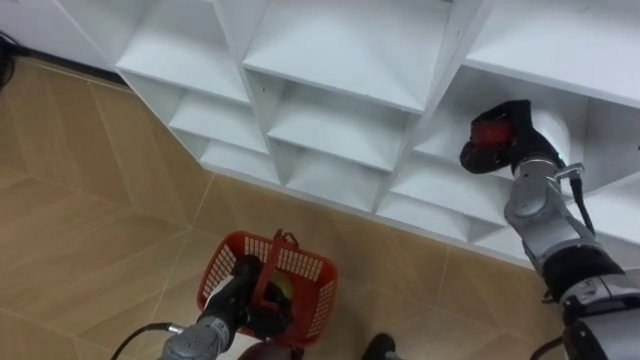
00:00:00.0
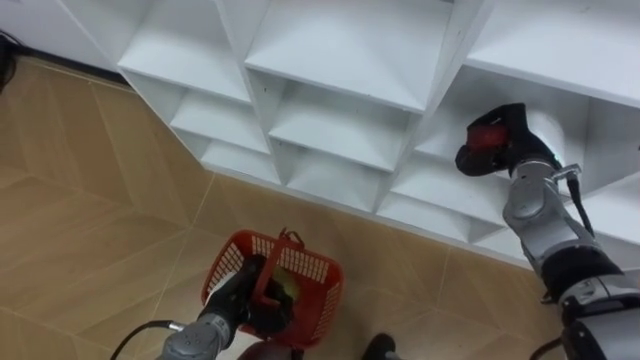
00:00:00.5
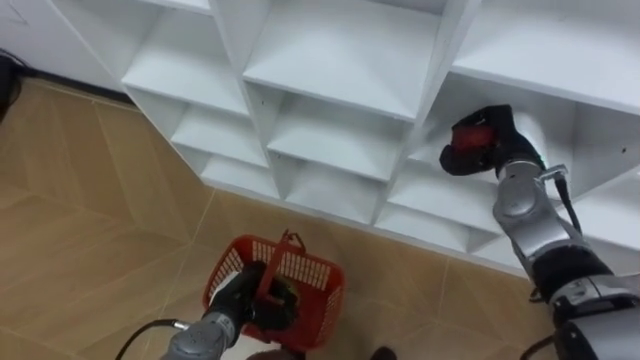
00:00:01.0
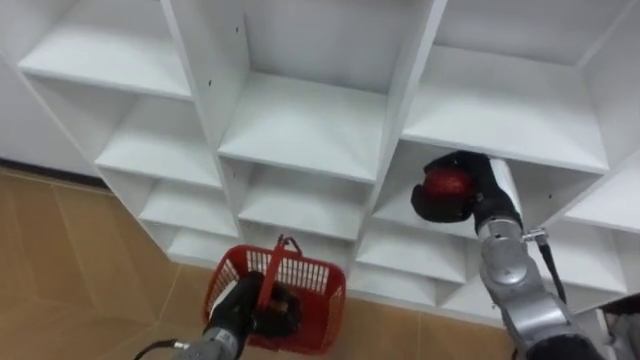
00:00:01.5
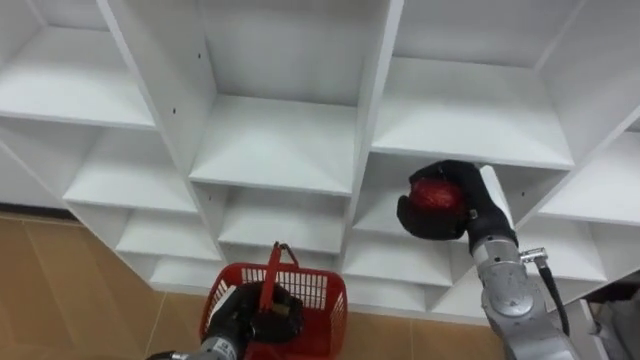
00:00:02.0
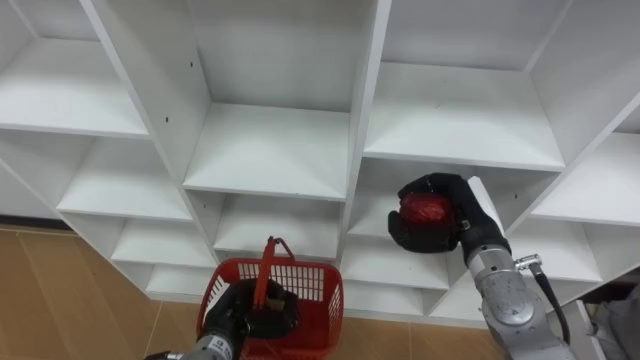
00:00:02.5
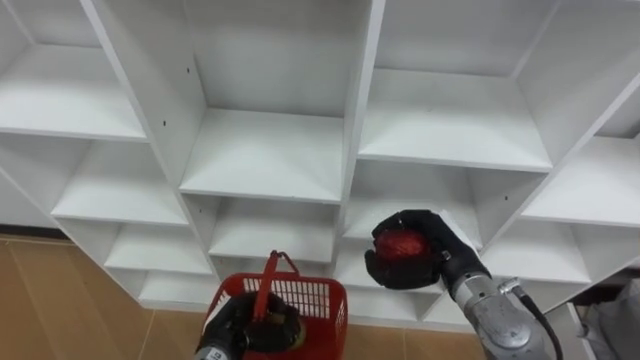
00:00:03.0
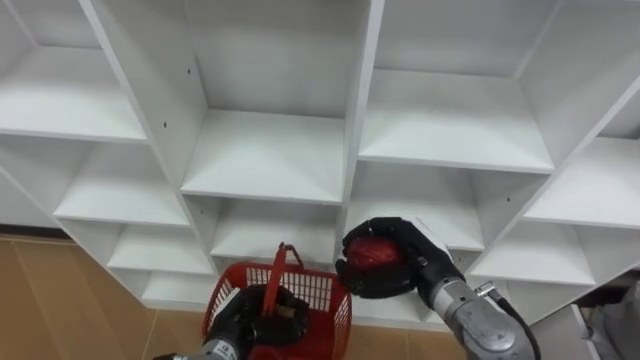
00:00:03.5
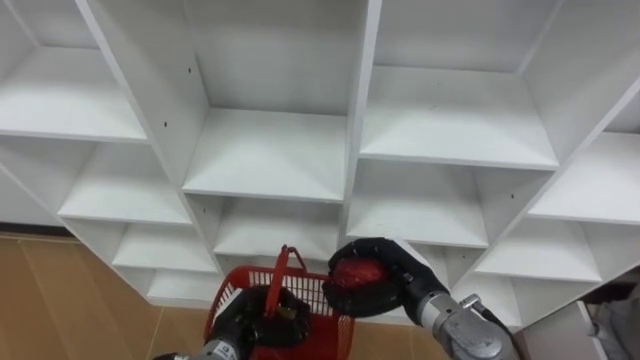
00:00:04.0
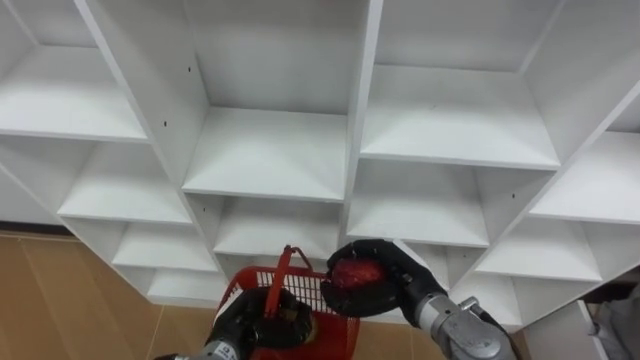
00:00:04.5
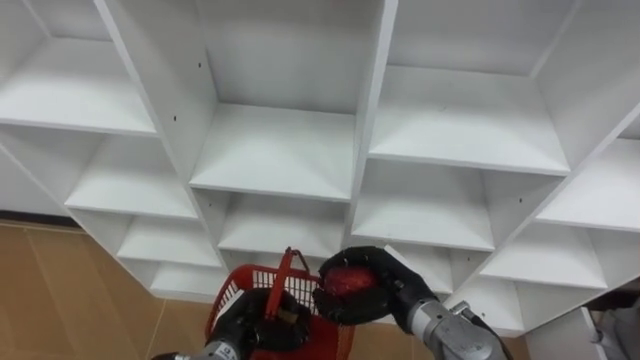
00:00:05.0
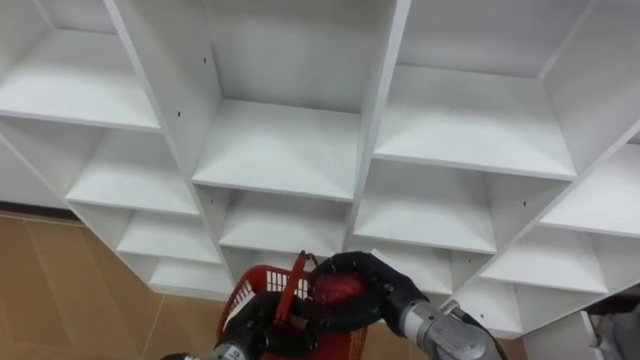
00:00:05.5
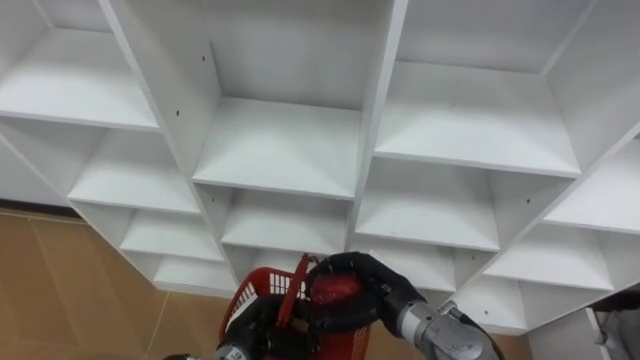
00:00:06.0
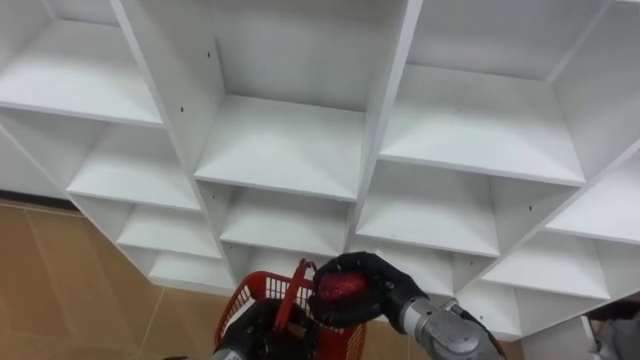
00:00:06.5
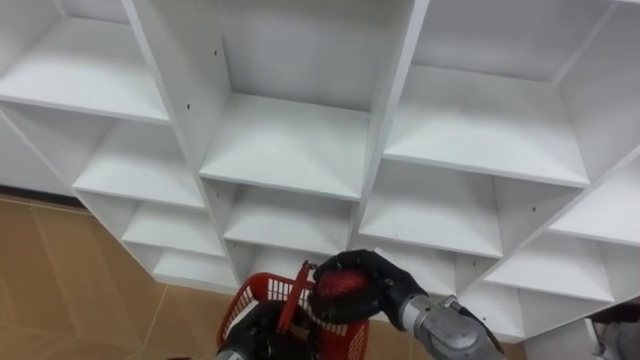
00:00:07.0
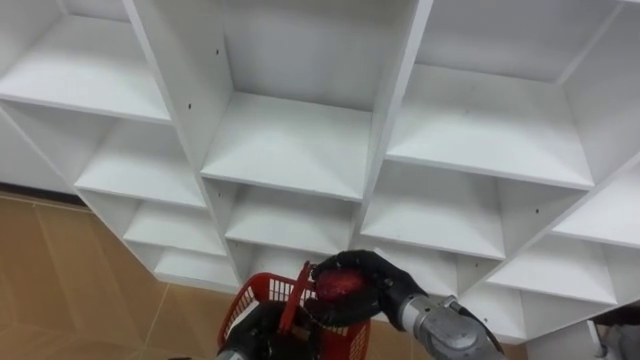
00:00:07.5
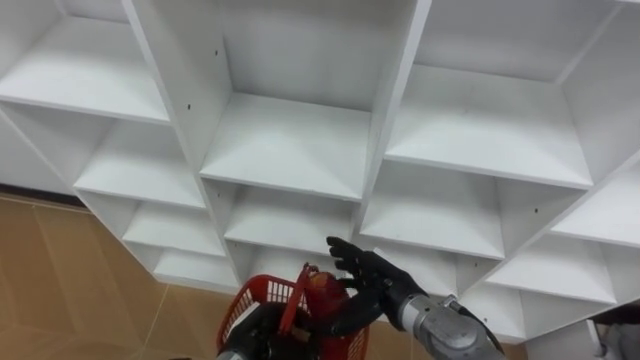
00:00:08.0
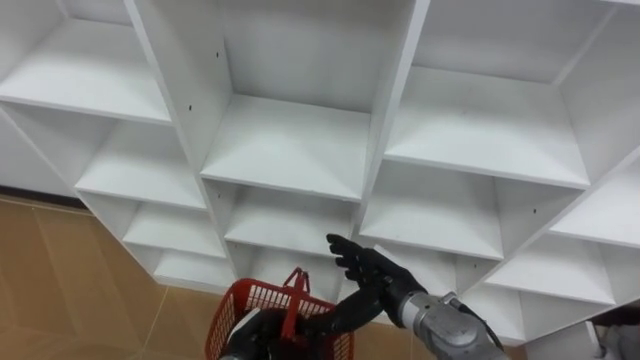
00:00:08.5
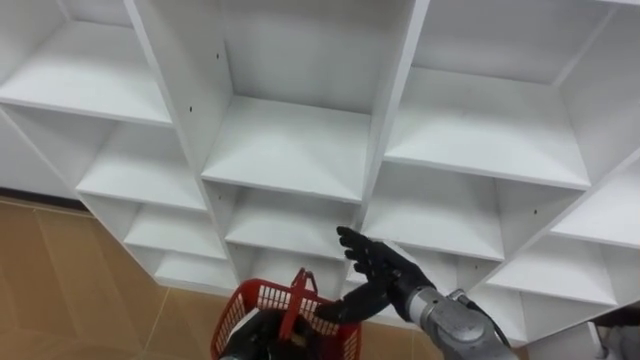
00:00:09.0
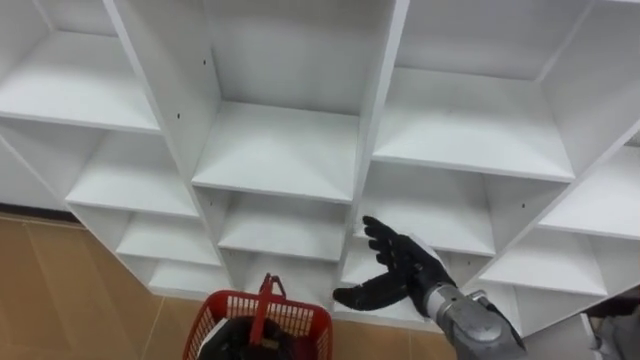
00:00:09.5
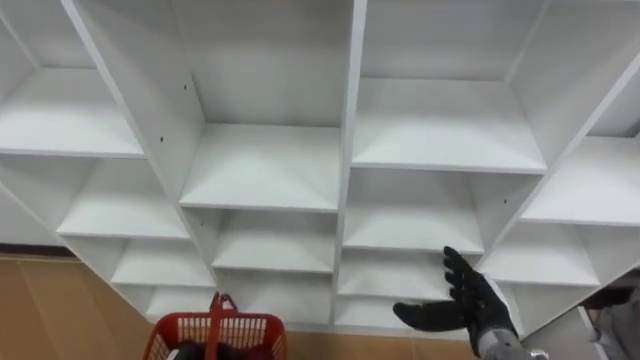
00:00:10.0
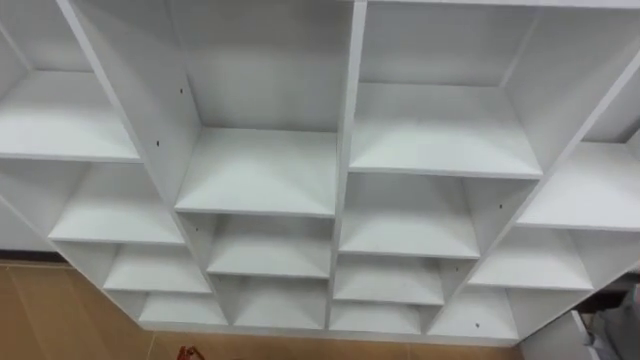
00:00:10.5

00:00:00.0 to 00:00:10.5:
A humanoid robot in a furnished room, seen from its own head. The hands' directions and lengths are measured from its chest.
Task of the whole recording: Hold the basket and collect the fruits from 3 different cells of the closet into it.
00:00:00.0 to 00:00:02.0: The right hand travels backward and to the left by about 10 cm.
00:00:02.0 to 00:00:04.0: The right hand moves to the left, backward and downward, some 15 cm.
00:00:06.5 to 00:00:08.5: The right hand opens up.

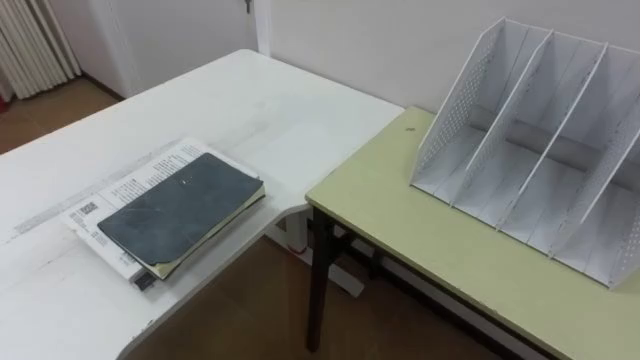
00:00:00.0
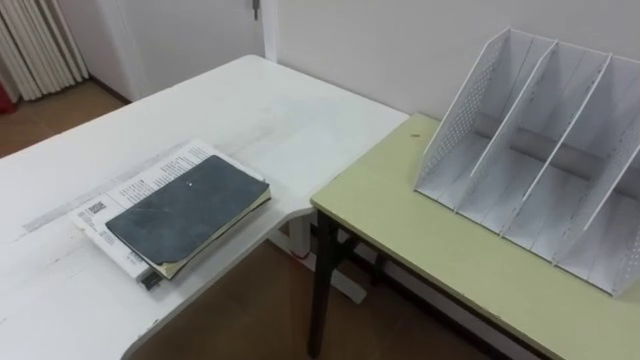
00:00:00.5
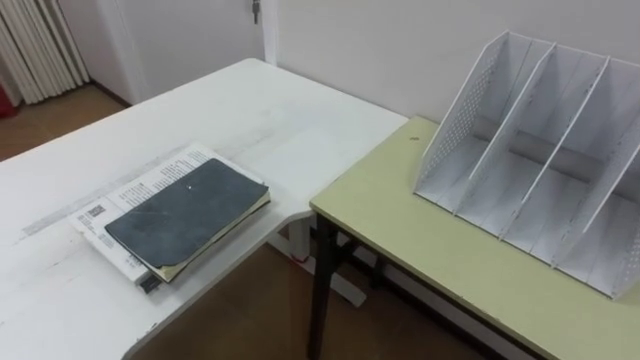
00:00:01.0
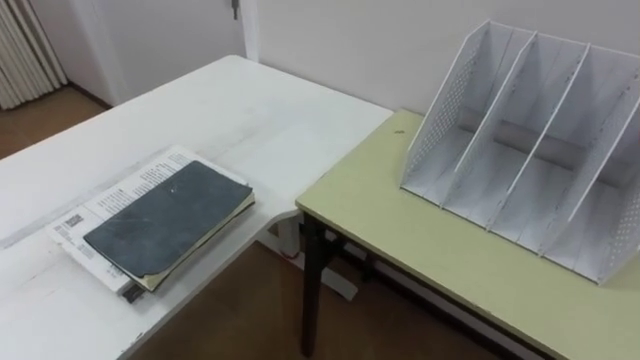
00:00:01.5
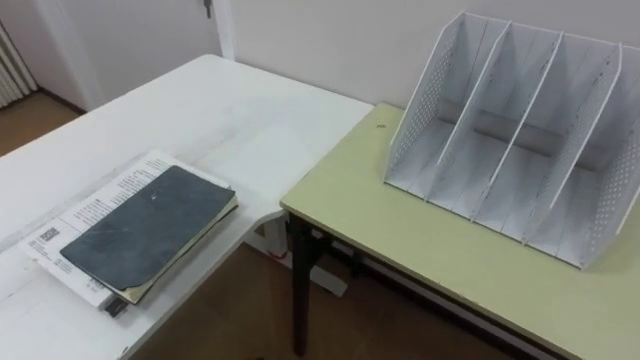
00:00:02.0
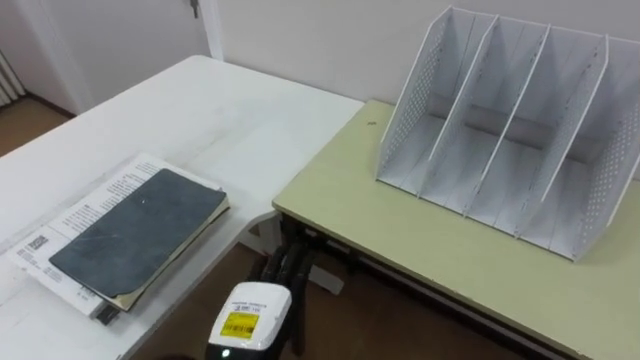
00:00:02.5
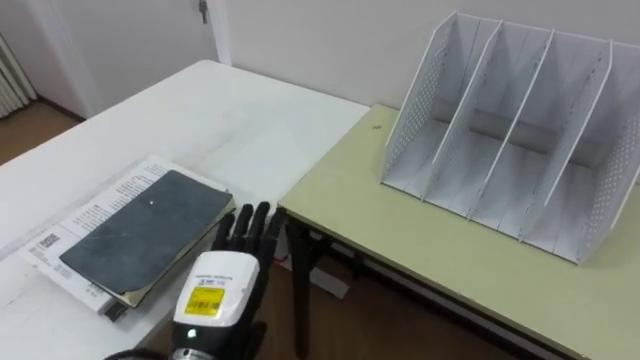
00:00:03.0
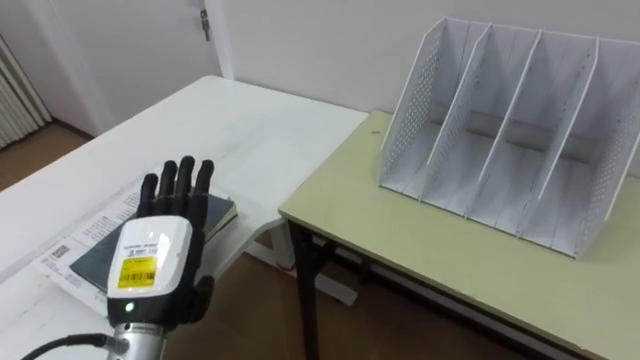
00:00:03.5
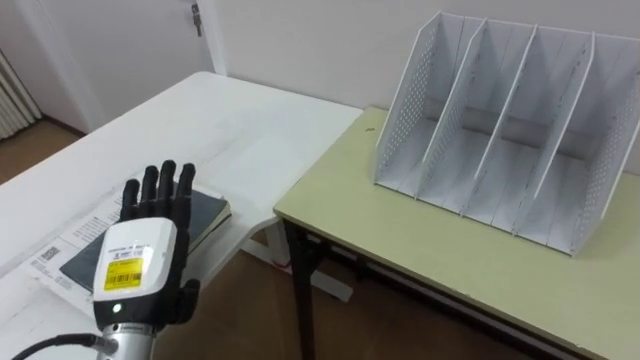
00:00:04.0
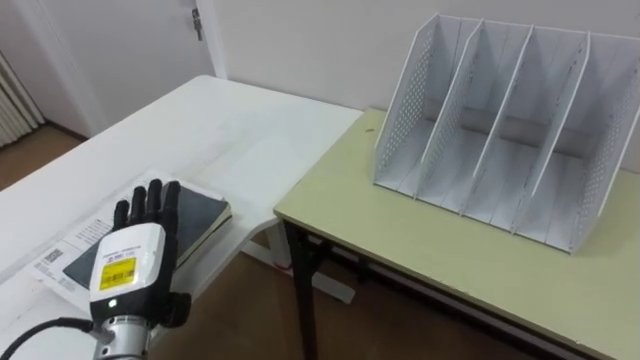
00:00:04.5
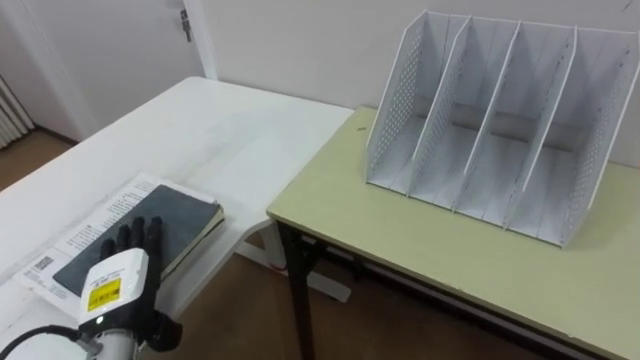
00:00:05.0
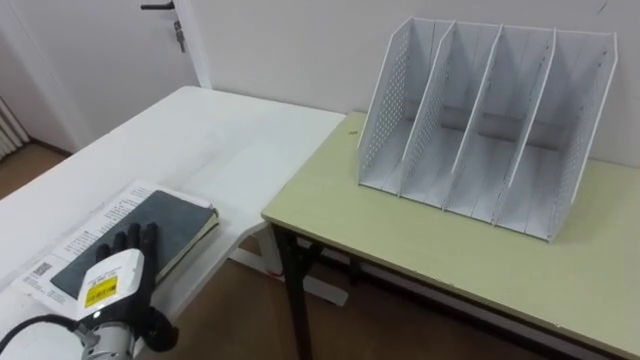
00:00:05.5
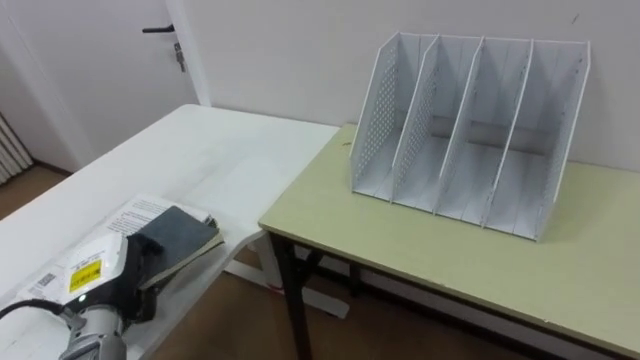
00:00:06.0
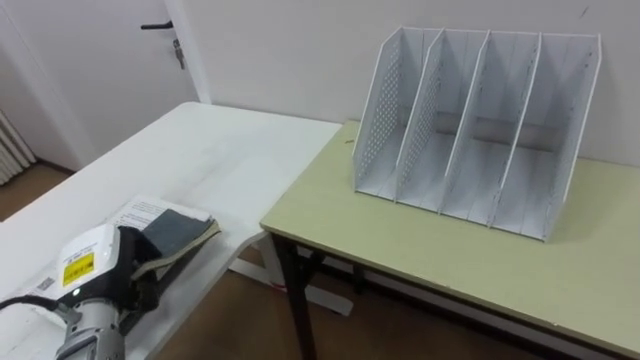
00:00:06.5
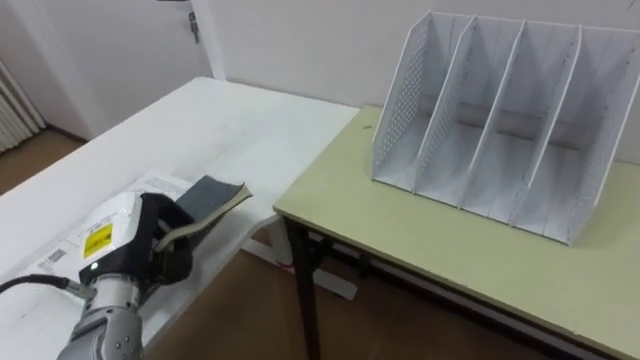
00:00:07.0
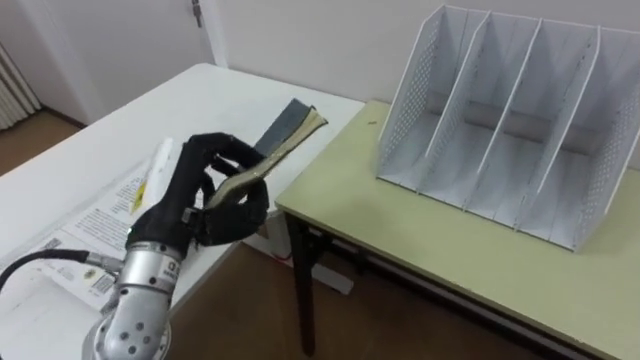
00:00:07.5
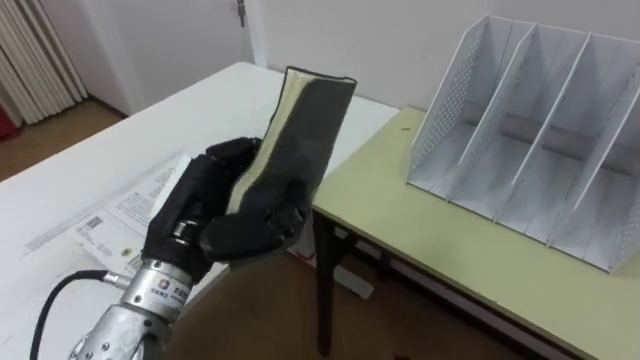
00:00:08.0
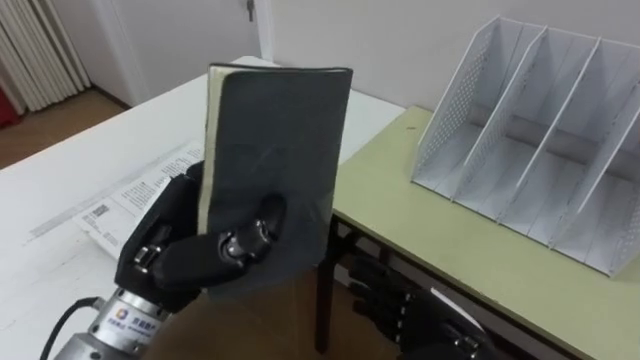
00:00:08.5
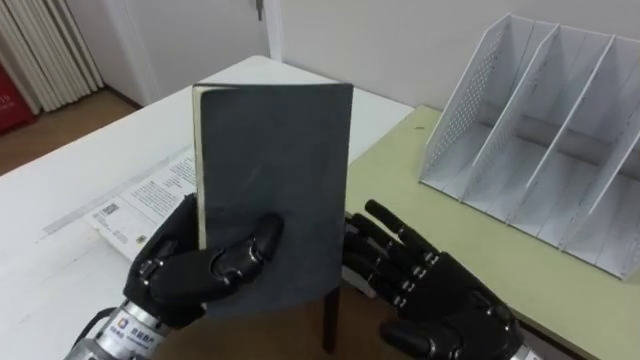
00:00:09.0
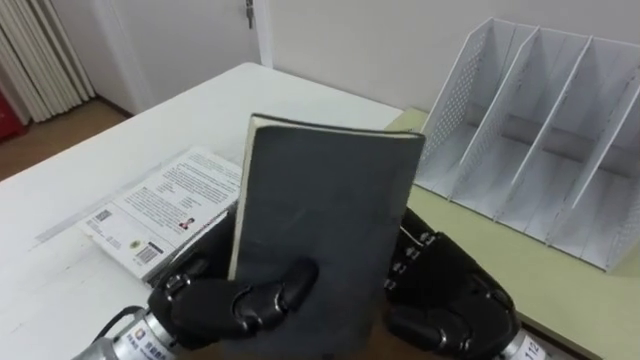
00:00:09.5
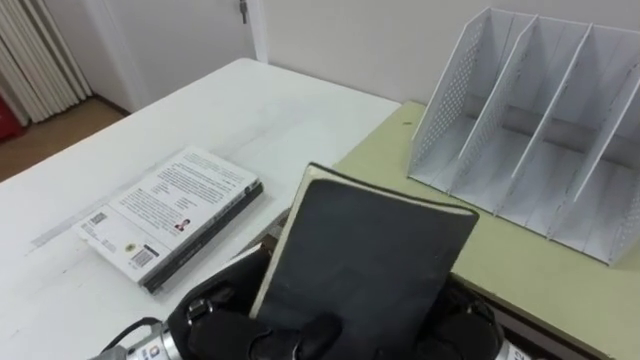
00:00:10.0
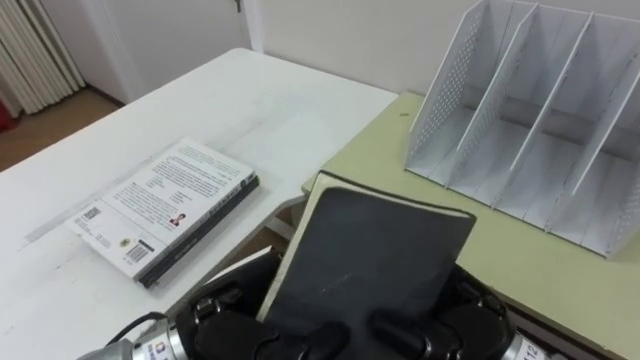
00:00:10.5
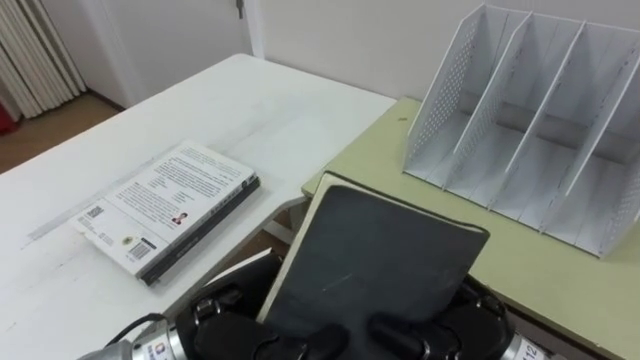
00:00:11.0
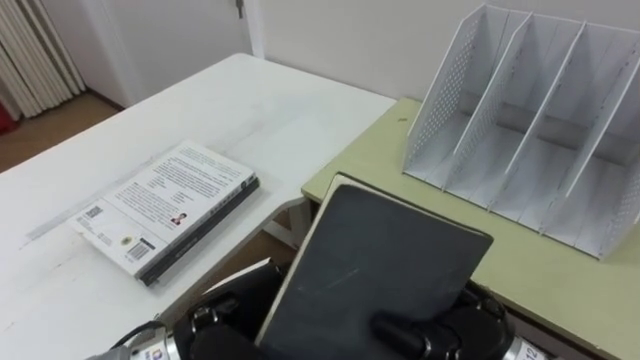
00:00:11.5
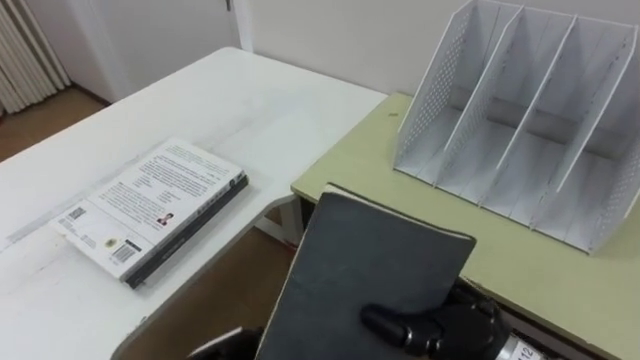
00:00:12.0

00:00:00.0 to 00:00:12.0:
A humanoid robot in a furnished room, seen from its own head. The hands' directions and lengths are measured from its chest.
Task of the whole recording: Put the books on the table onto the bookshelf.
00:00:04.0 to 00:00:06.0: The left hand goes roughly 10 cm downward and to the left, and closes.
00:00:06.0 to 00:00:08.0: The left hand shifts approximately 20 cm upward and to the right.
00:00:08.0 to 00:00:10.0: The left hand goes roughly 5 cm backward.
00:00:10.0 to 00:00:12.0: The left hand heads downward, covering some 10 cm, and opens. The right hand closes.
